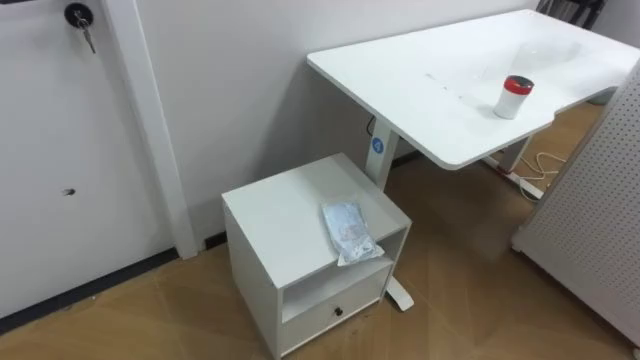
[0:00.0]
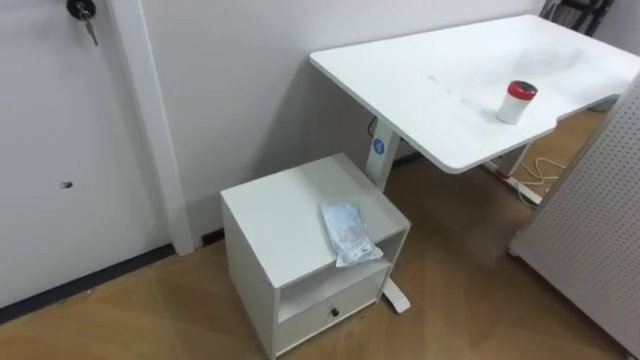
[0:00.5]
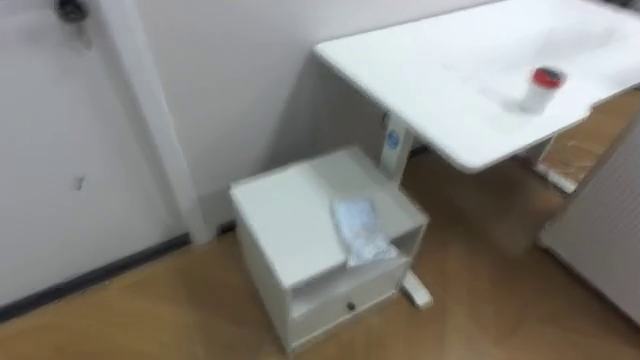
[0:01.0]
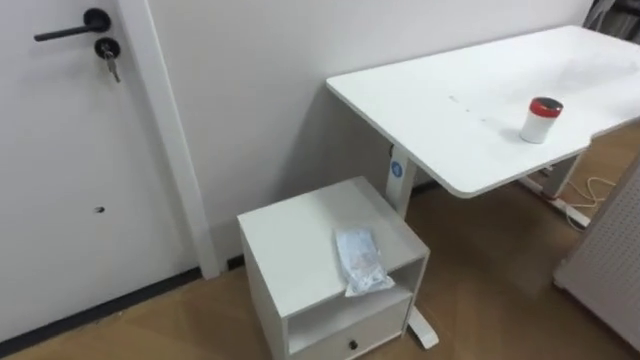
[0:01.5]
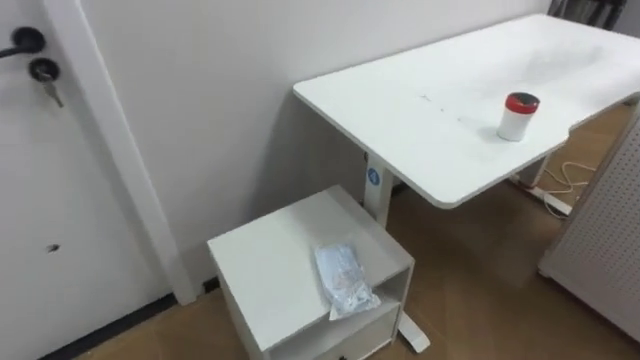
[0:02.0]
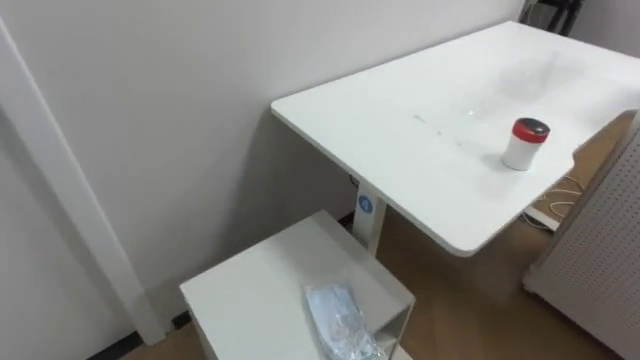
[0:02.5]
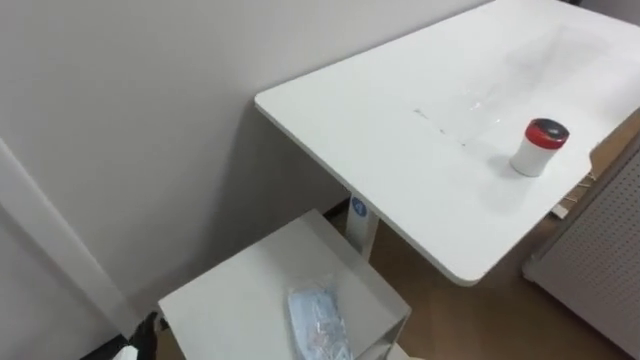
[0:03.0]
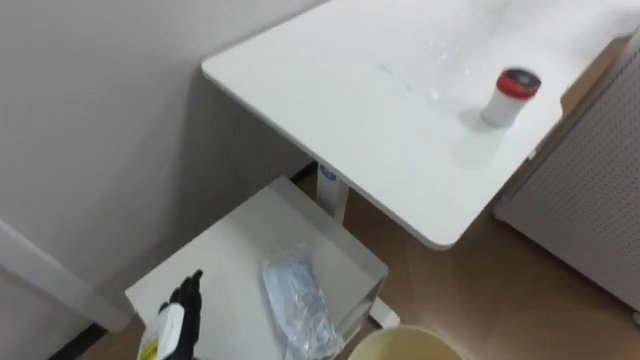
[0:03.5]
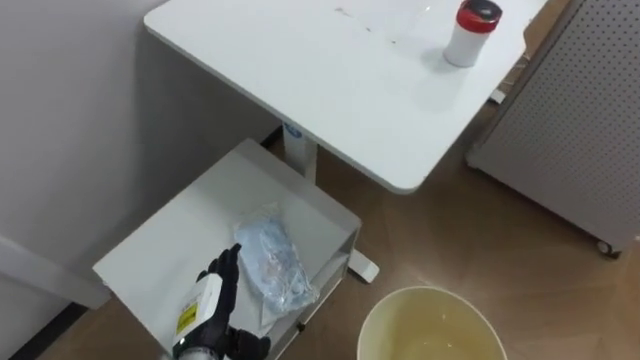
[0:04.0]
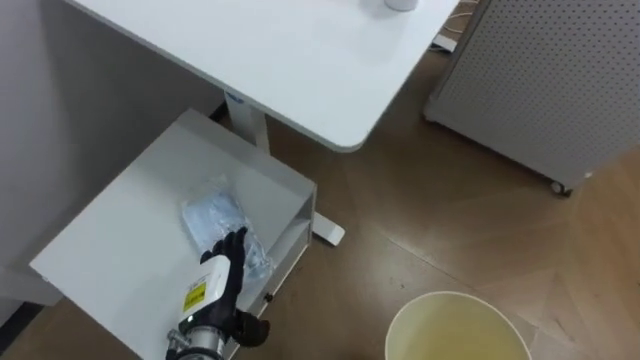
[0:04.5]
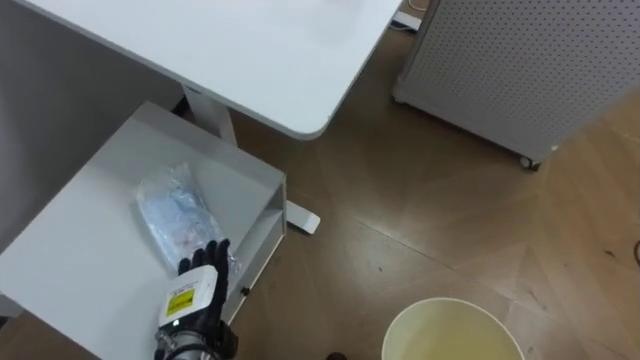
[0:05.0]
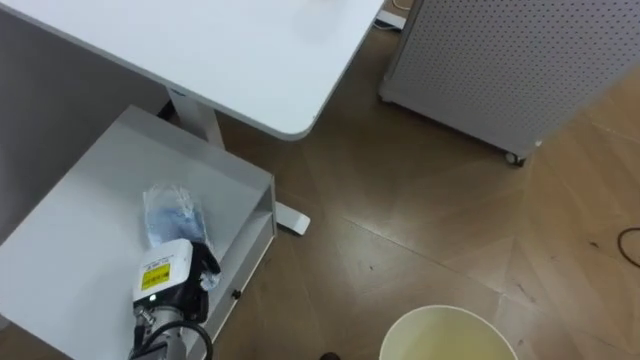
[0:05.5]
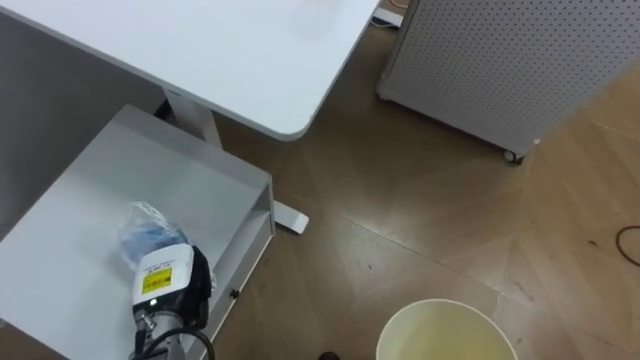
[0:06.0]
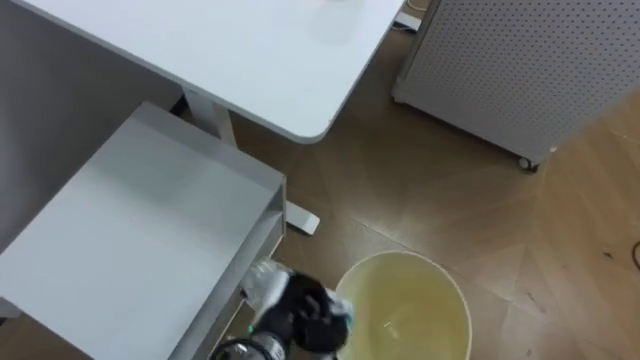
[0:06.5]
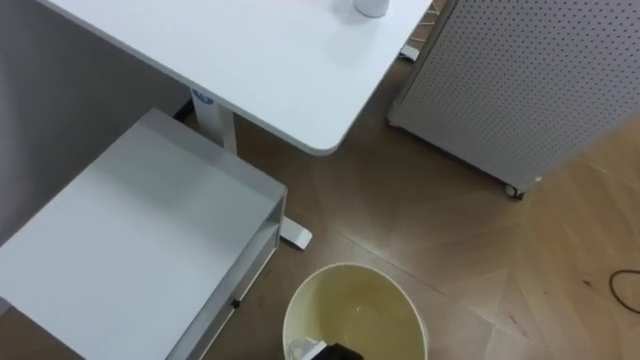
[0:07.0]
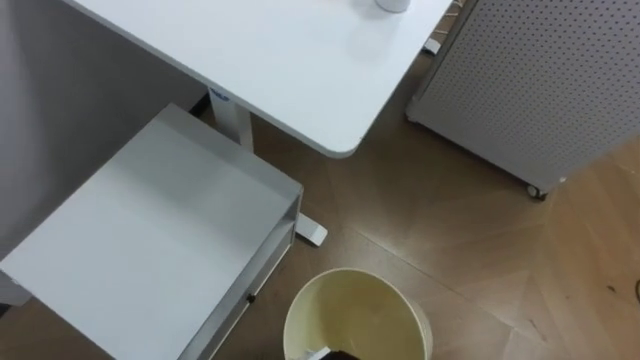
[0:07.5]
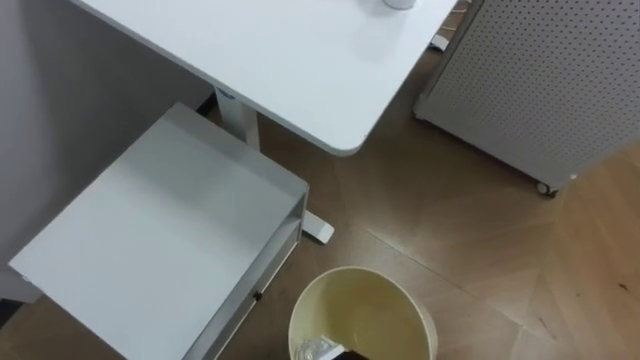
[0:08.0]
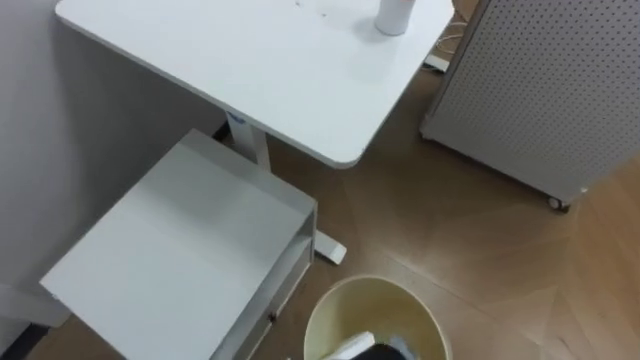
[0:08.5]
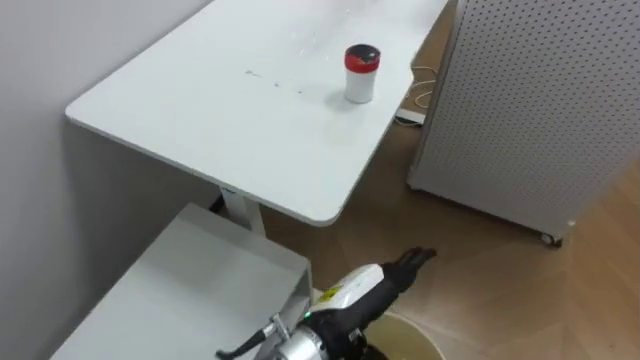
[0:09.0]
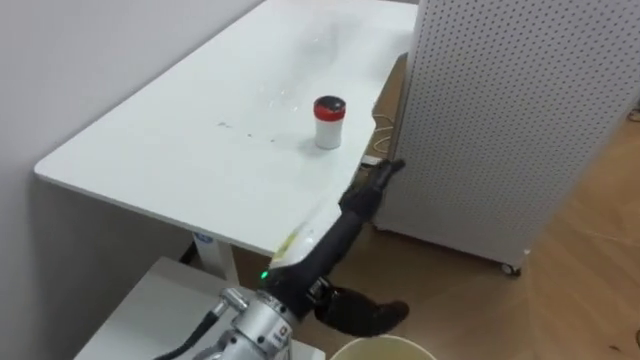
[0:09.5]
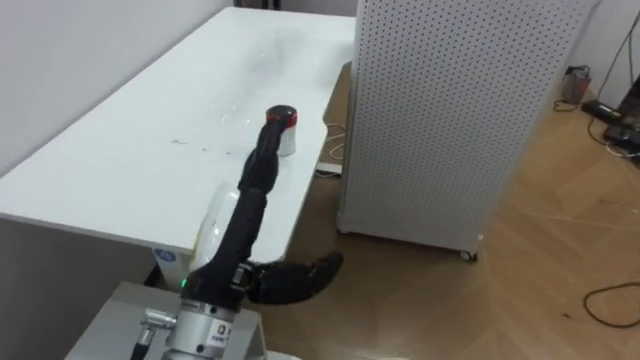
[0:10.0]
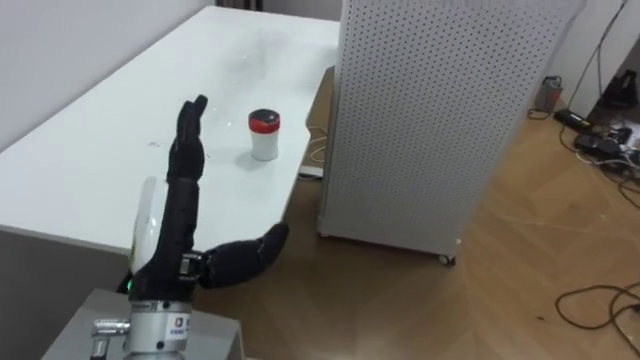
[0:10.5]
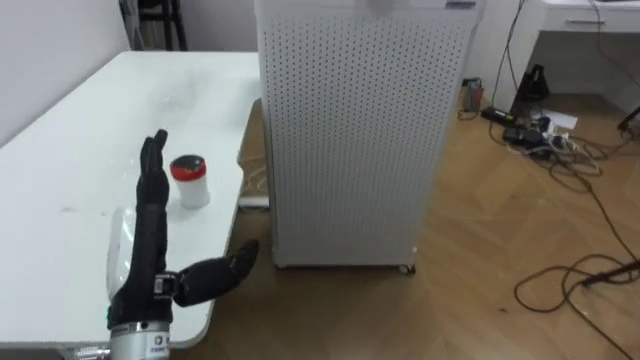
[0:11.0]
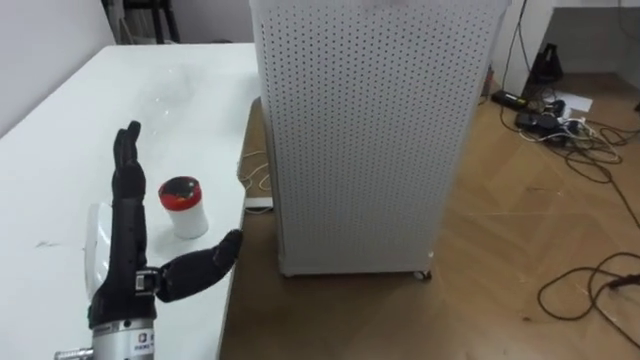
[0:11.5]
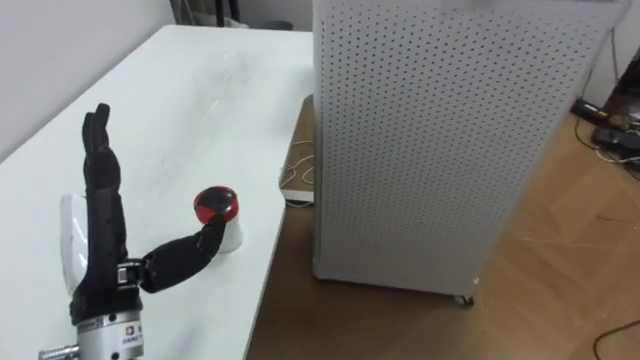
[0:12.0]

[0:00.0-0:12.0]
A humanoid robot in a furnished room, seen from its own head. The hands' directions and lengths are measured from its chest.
Task of the whole recording: Pick up the light blue package, the candy box, and the dark blue package separately, and put them into the trash can held in your right hand.
4.0 to 6.0 s: The left hand is displaced to the left by some 5 cm, and closes.
10.0 to 12.0 s: The left hand travels to the left by some 10 cm.

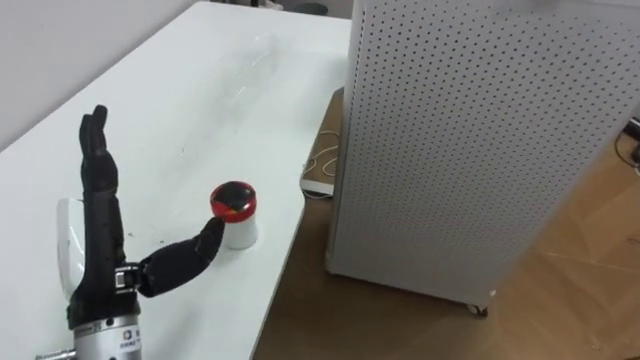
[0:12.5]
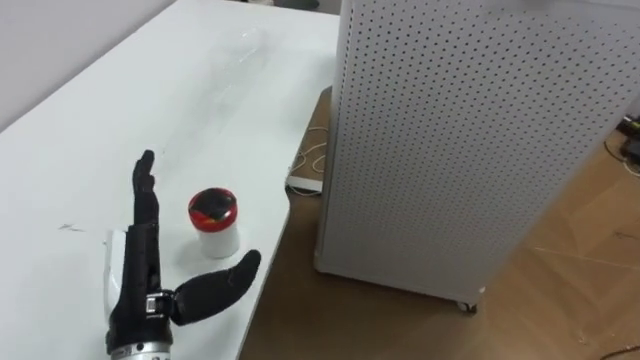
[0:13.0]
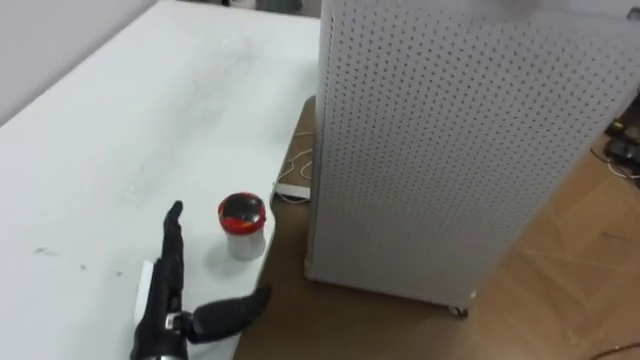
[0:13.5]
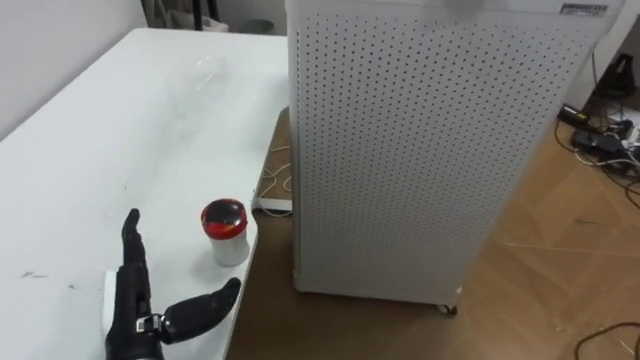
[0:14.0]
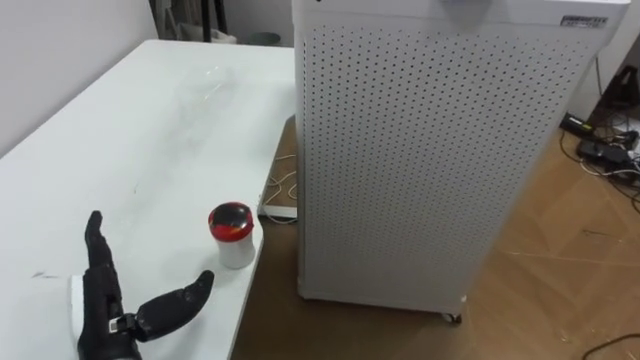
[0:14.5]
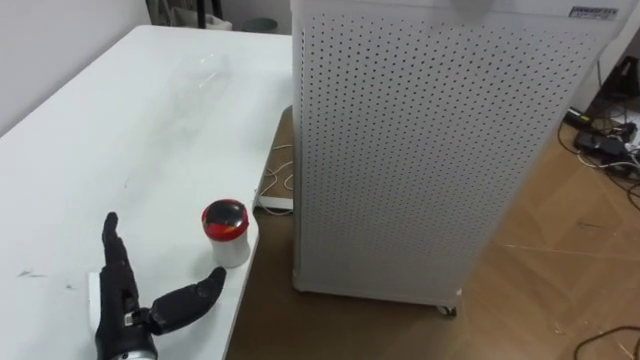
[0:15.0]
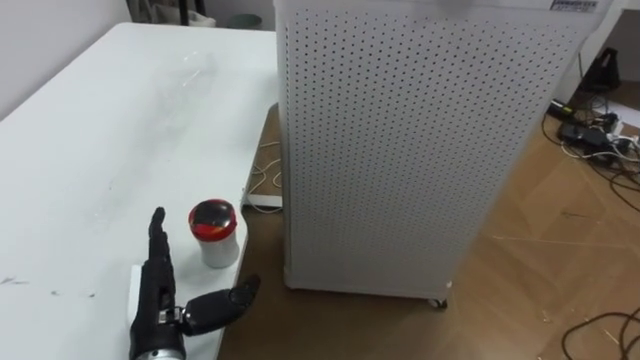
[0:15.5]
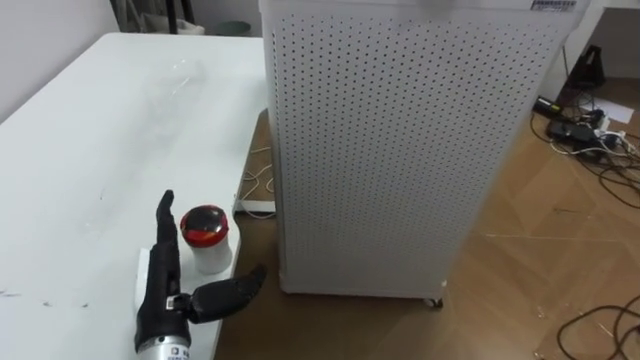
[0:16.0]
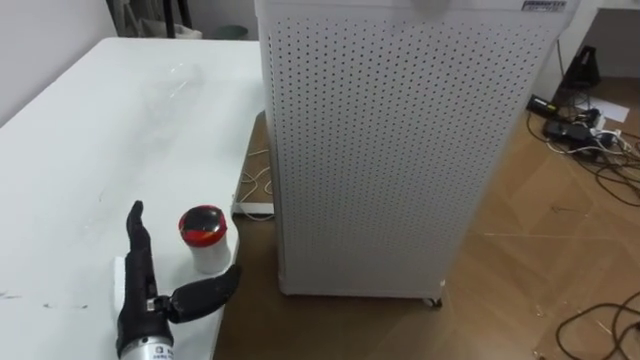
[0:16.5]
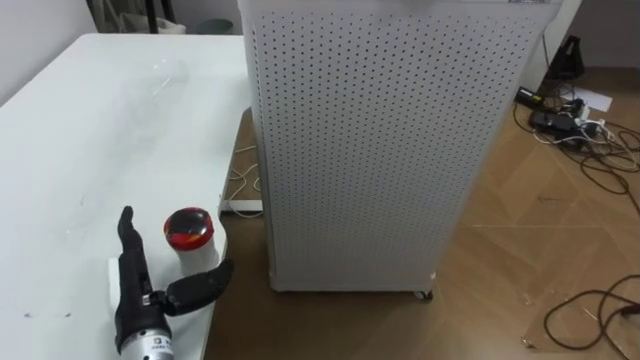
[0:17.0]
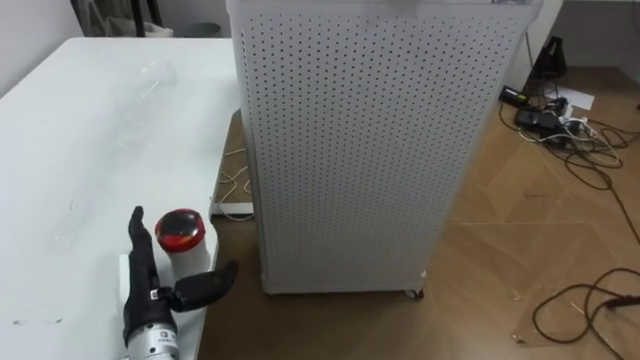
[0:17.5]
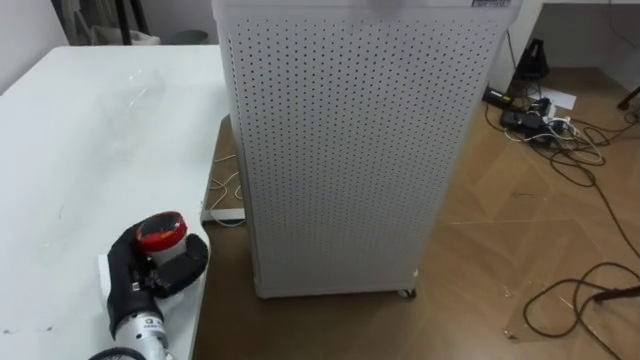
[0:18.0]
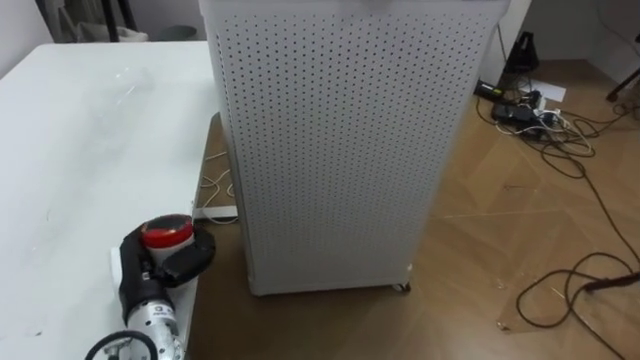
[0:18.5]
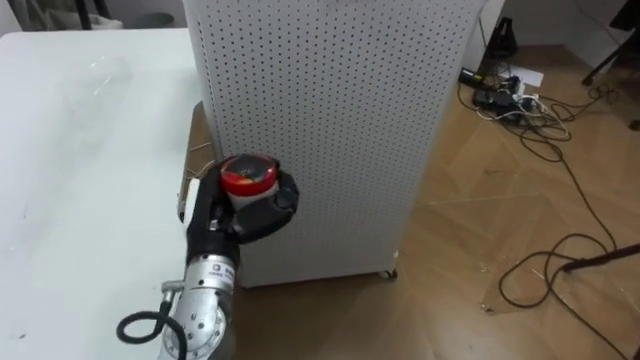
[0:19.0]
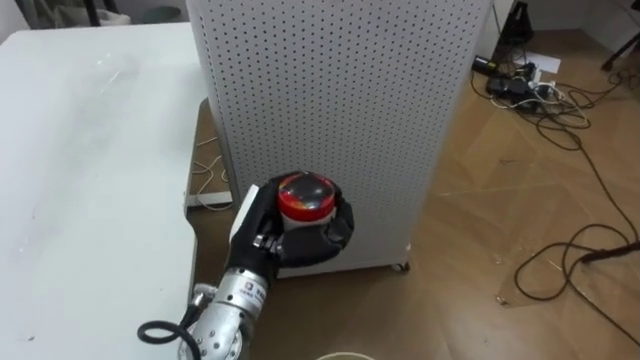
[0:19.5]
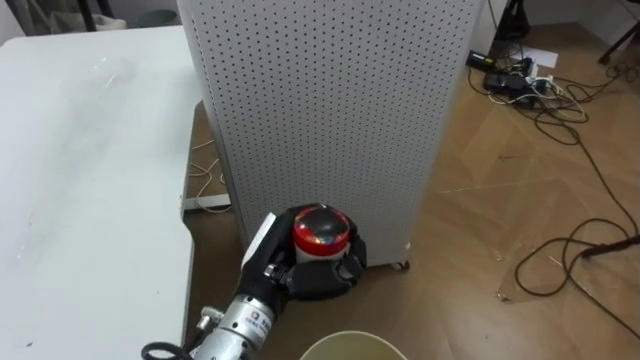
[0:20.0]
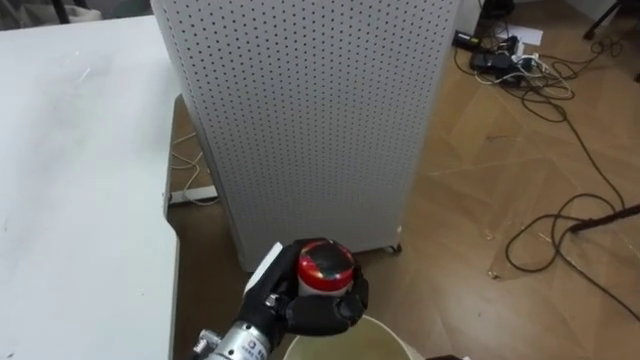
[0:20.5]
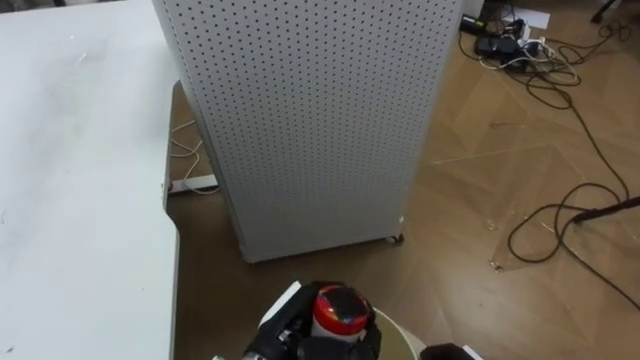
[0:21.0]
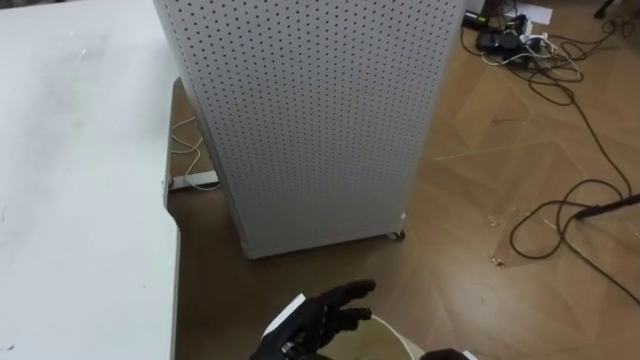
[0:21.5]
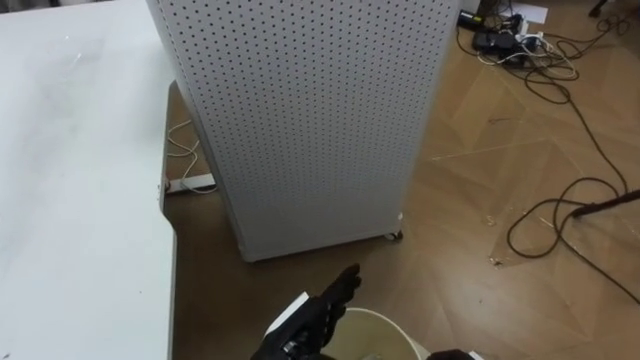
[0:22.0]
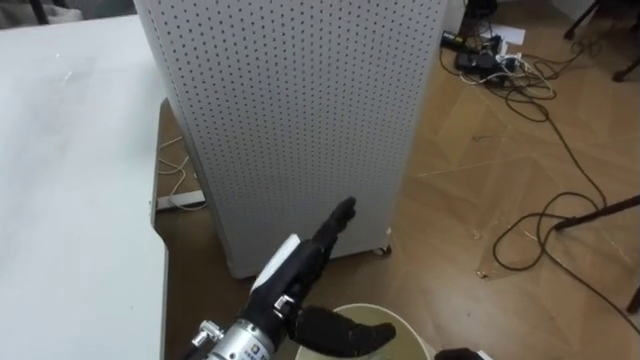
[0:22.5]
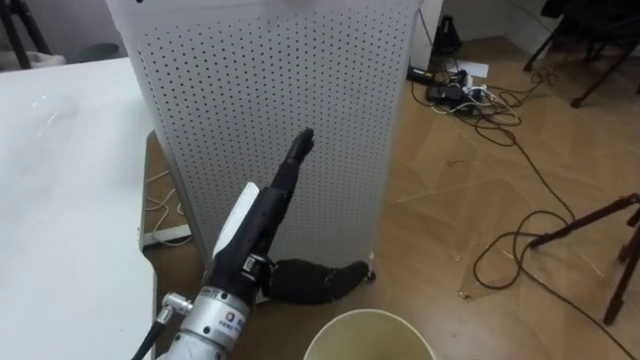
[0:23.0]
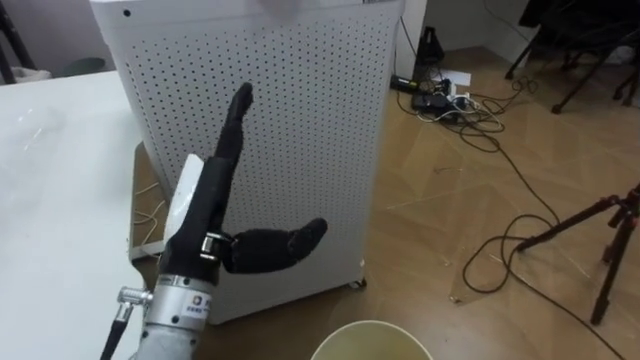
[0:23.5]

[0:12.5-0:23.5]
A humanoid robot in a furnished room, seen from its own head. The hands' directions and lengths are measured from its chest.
Task of the whole recording: Pick up the light blue package, the candy box, and the dark blue package separately, and put them into the trash can held in your right hand.
12.5 to 14.5 s: The left hand goes roughly 10 cm downward.
14.5 to 16.0 s: The left hand heads to the right, covering some 5 cm.
16.0 to 18.0 s: The left hand changes place by about 5 cm, and closes its fingers.
18.0 to 20.0 s: The left hand shifts about 20 cm to the right.
20.0 to 21.5 s: The left hand shifts some 10 cm downward and backward, and opens up.
21.5 to 23.5 s: The left hand is displaced upward and to the left by roughly 20 cm.
